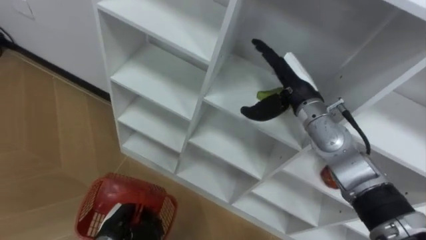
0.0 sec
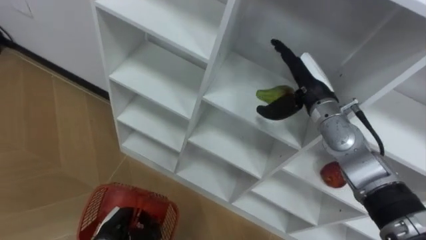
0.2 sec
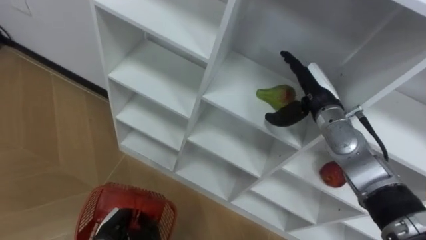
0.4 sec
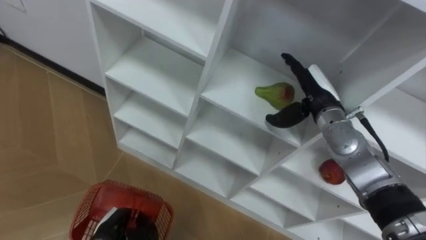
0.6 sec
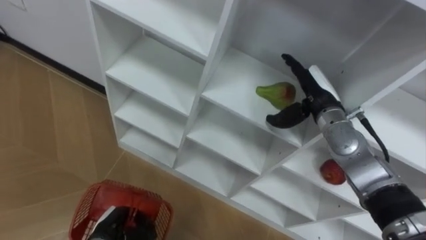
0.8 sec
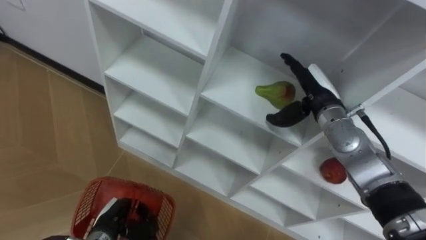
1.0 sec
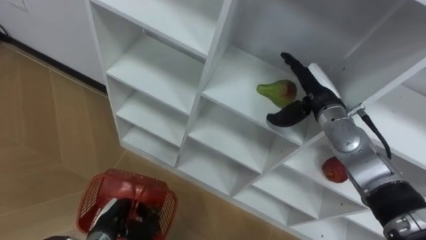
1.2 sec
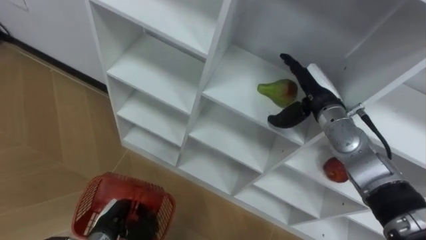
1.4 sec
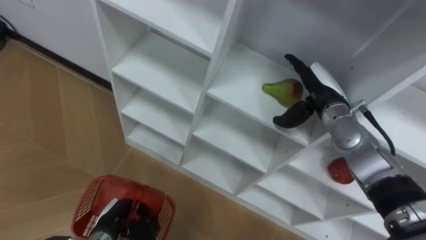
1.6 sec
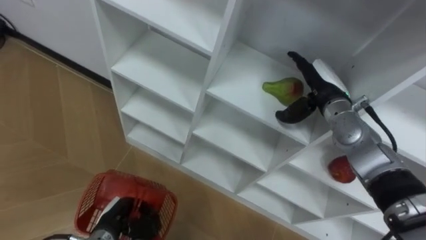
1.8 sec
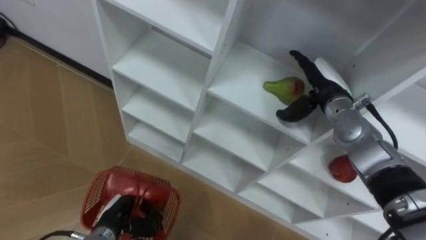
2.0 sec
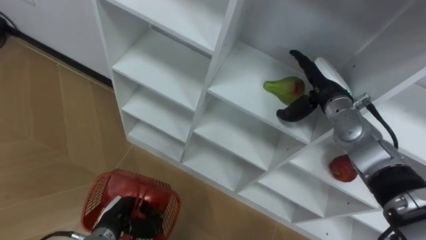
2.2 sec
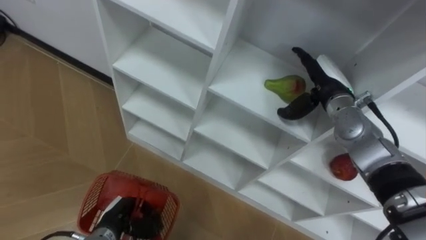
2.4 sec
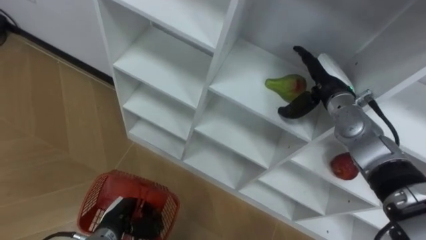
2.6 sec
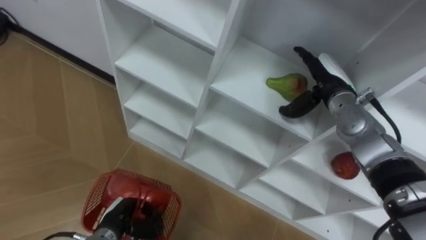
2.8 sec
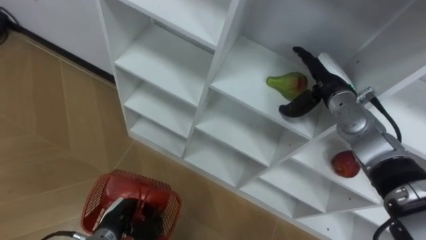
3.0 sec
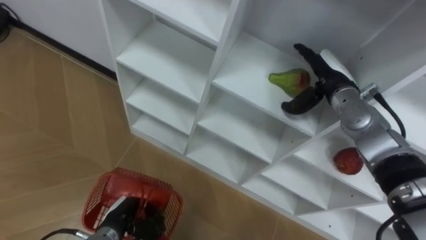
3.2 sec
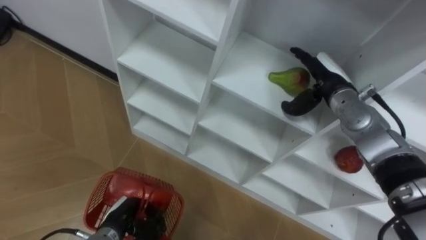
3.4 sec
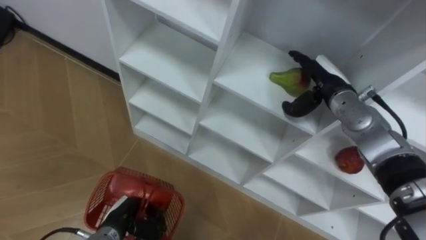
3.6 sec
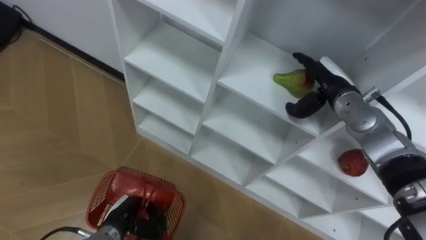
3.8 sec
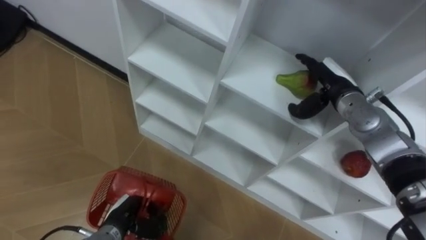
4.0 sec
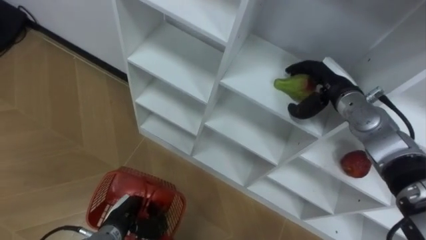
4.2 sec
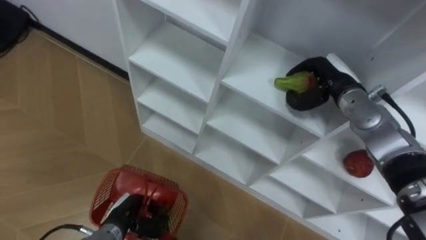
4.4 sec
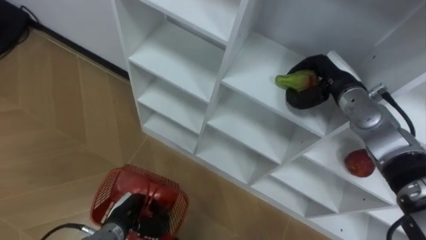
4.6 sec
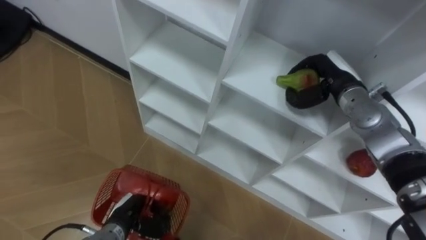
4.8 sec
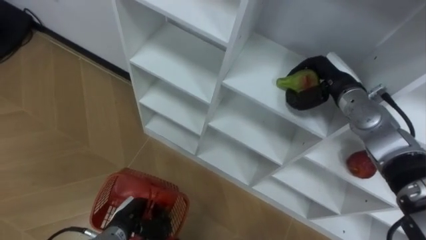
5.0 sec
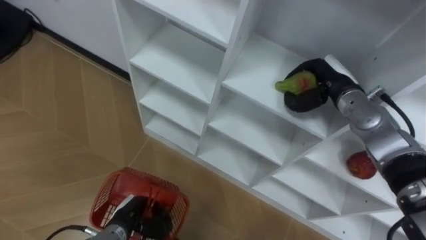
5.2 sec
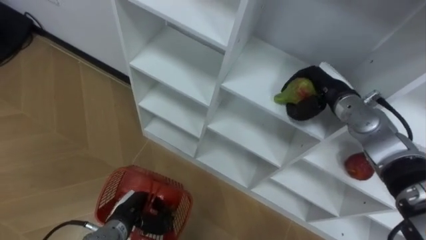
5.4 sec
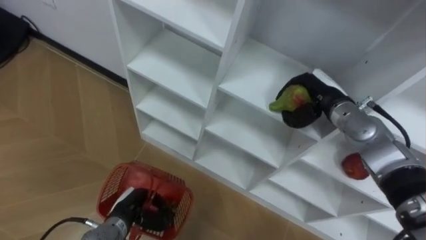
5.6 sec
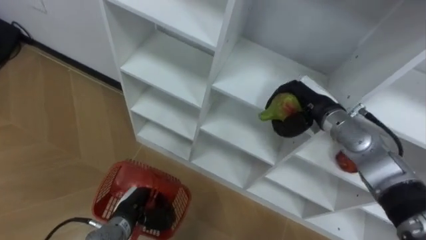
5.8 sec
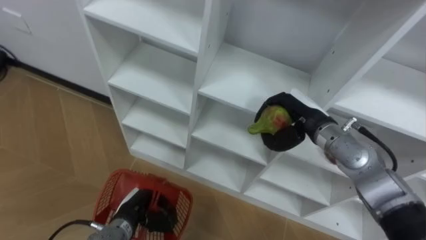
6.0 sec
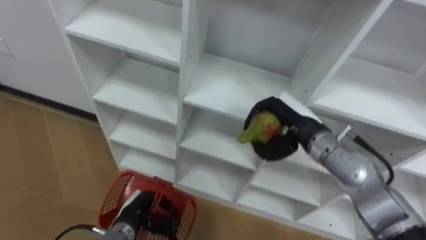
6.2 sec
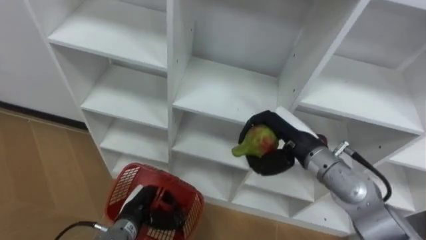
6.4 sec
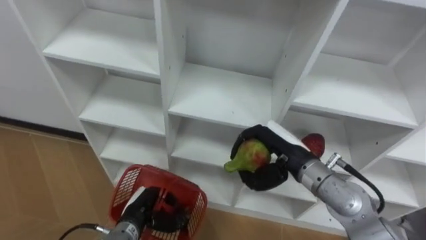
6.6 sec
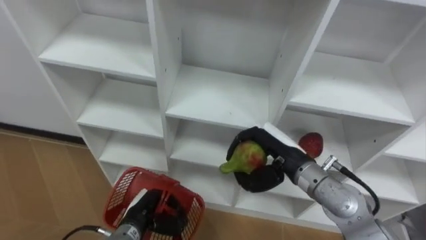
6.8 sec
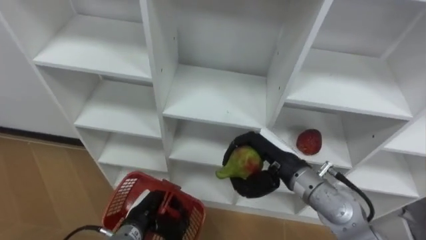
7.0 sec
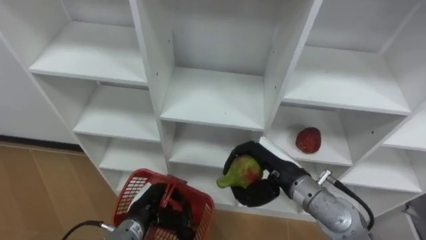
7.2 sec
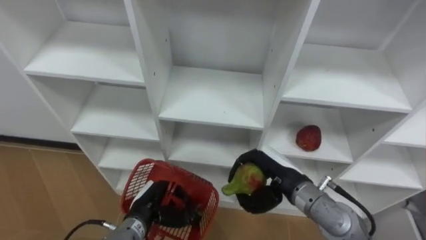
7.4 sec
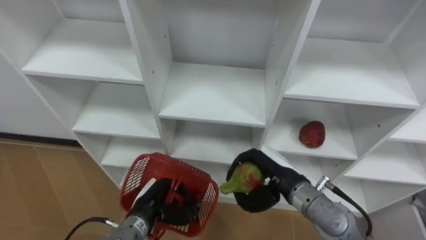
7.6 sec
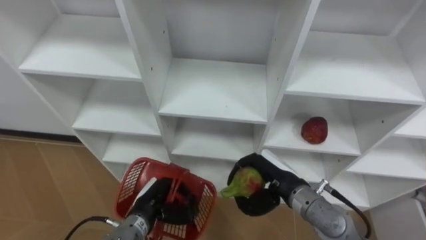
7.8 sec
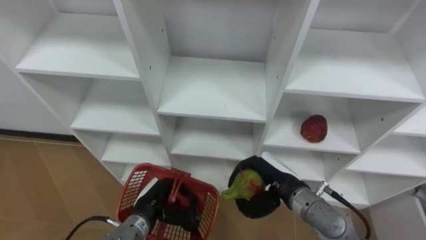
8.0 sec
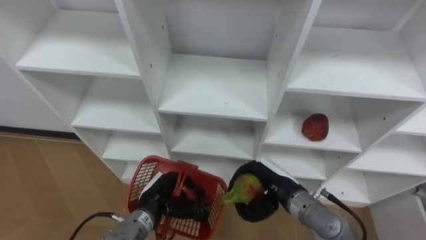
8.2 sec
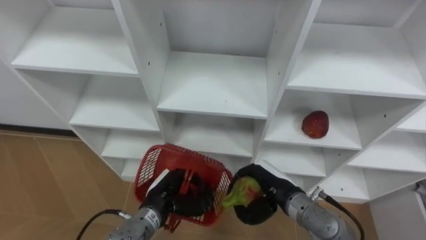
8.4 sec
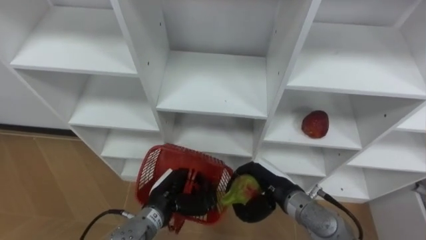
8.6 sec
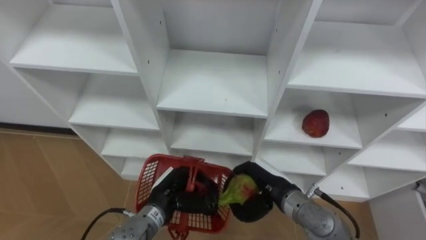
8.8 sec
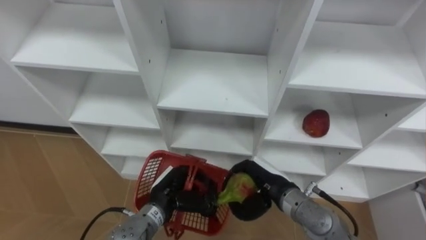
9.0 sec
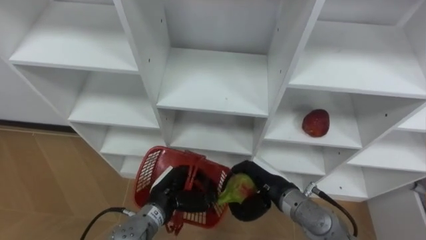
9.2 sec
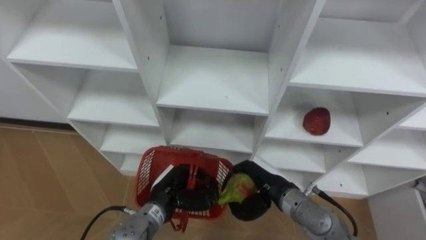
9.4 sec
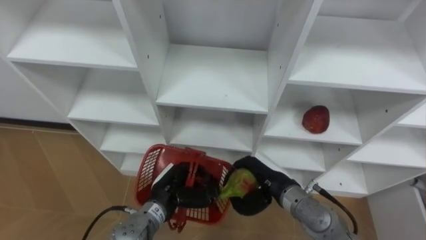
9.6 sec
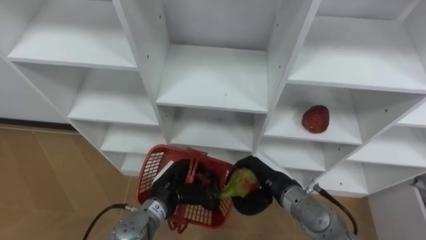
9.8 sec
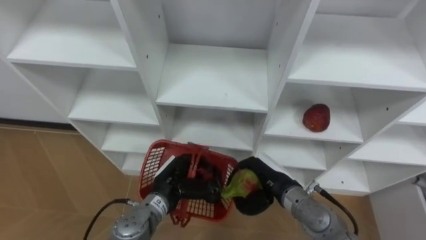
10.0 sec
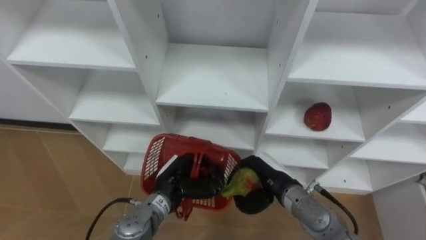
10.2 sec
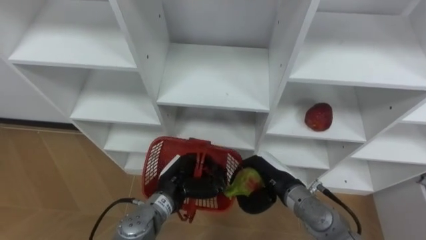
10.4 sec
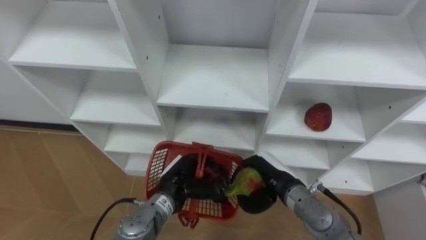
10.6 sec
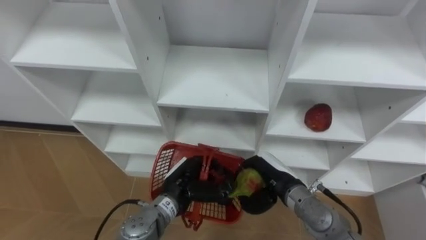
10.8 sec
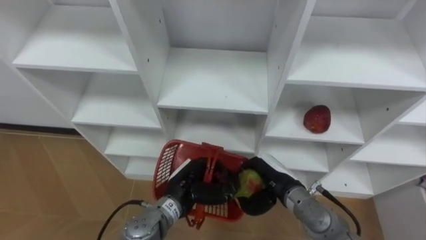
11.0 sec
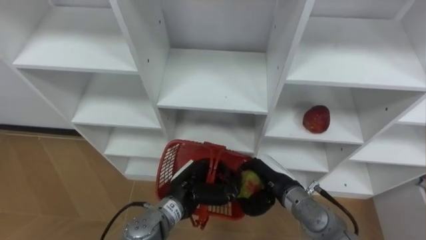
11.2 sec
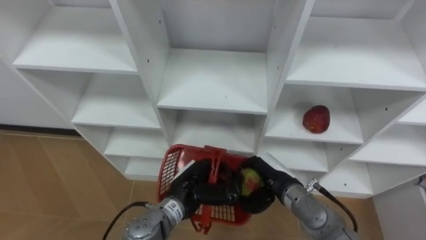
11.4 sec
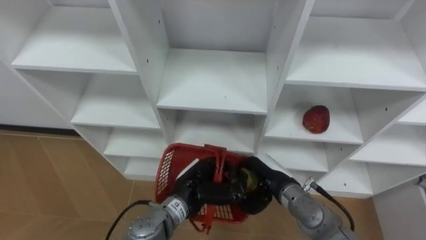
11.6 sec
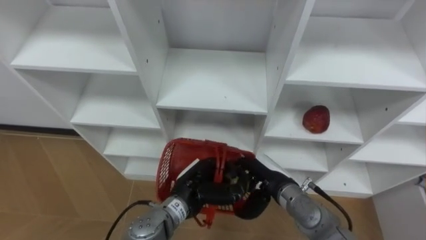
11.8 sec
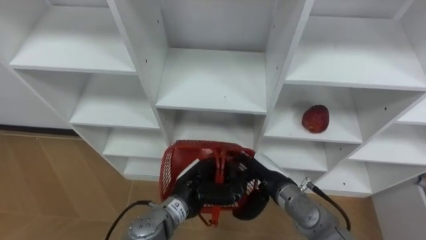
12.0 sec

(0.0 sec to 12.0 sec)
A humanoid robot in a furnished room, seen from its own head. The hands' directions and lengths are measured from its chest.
Task of the whole recording: Hold the basket and collect the fruits from 3 different cells of the closet into it.
0.0 sec - 1.6 sec: The right hand goes about 5 cm to the right.
3.0 sec - 4.4 sec: The right hand closes.
4.4 sec - 6.0 sec: The right hand is displaced to the left and backward by roughly 10 cm.
6.0 sec - 7.6 sec: The left hand shifts by some 5 cm, while the right hand moves backward, downward and to the left, some 10 cm.
7.6 sec - 9.0 sec: The left hand ends up approximately 5 cm from where it was.
10.4 sec - 12.0 sec: The right hand opens its fingers.

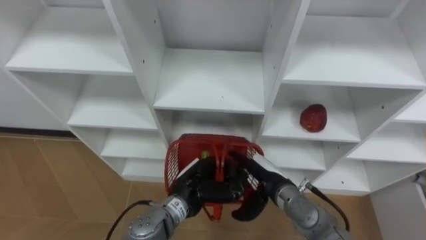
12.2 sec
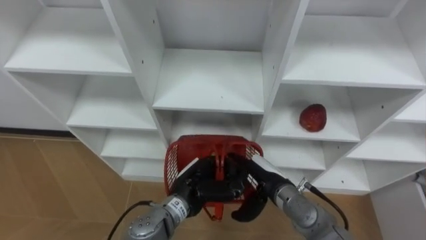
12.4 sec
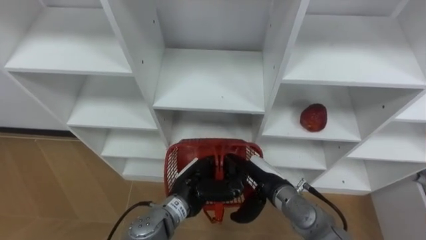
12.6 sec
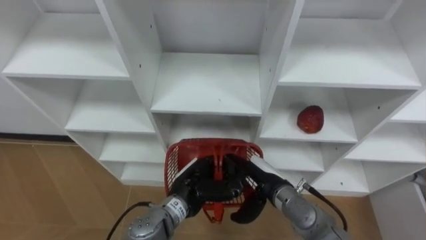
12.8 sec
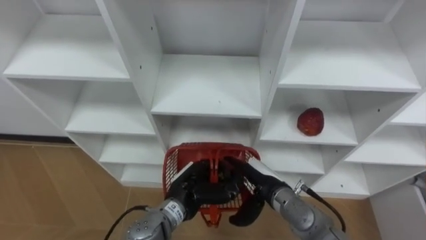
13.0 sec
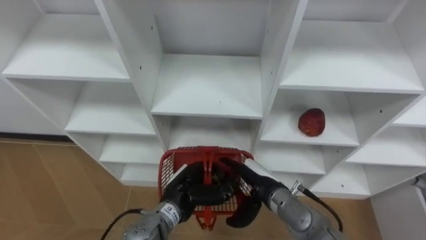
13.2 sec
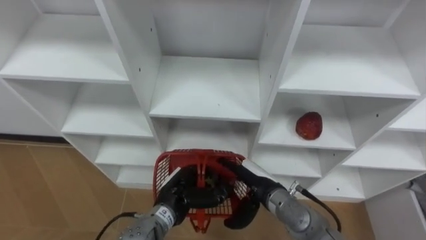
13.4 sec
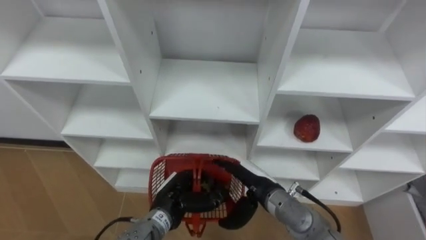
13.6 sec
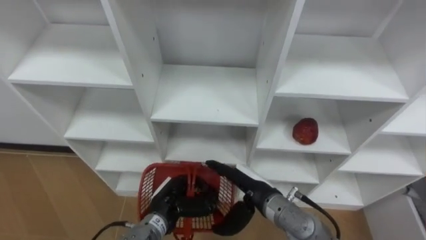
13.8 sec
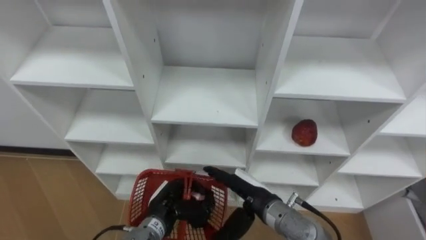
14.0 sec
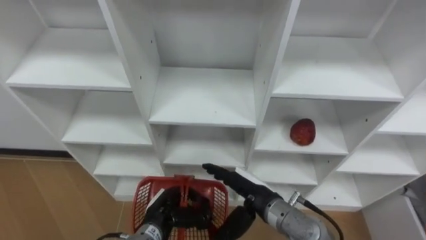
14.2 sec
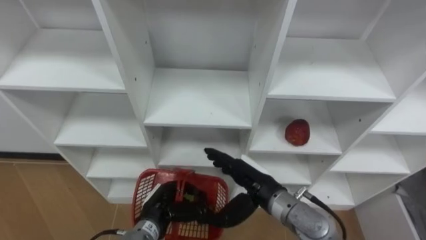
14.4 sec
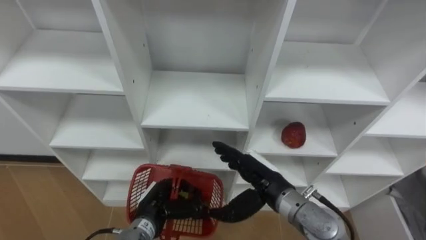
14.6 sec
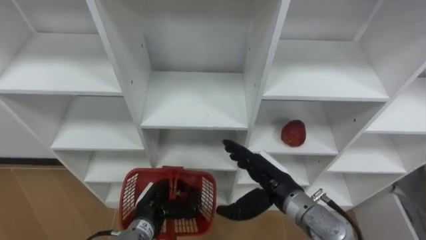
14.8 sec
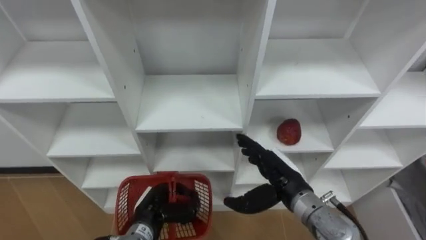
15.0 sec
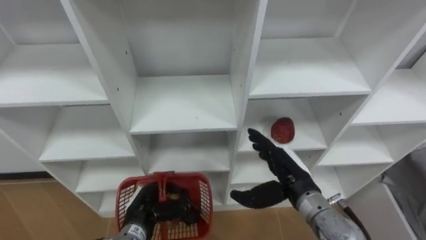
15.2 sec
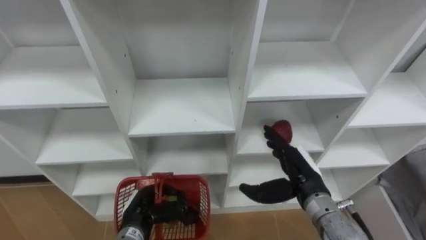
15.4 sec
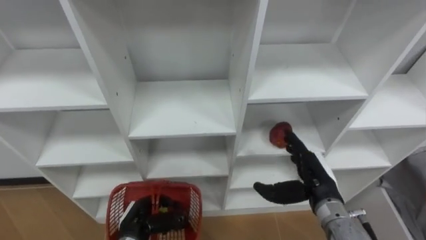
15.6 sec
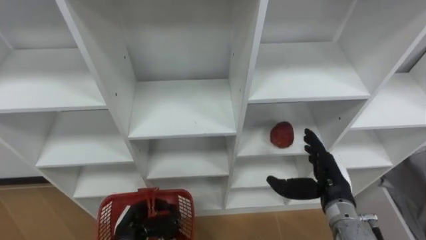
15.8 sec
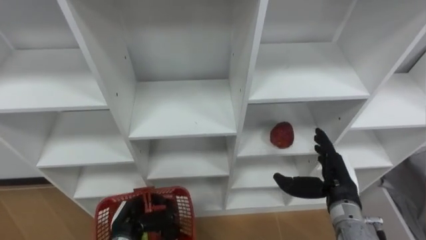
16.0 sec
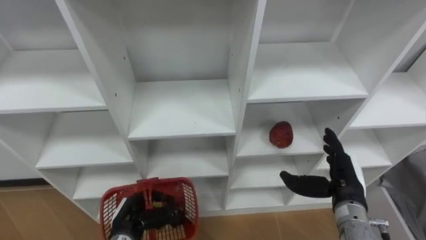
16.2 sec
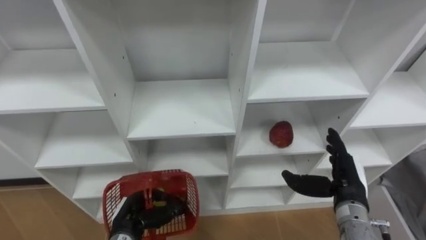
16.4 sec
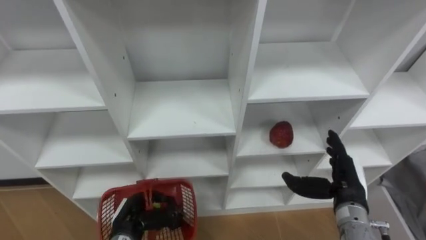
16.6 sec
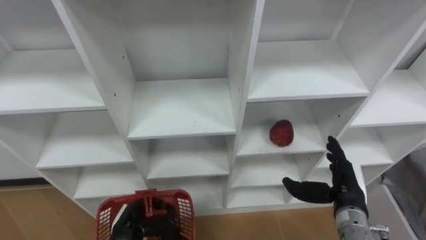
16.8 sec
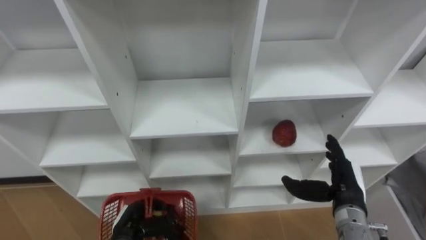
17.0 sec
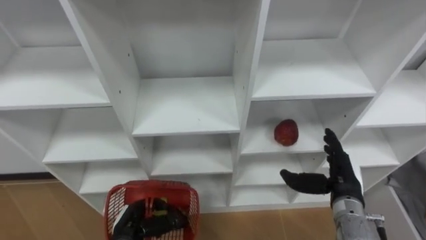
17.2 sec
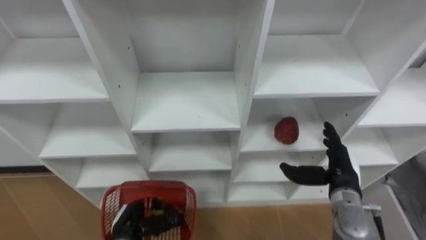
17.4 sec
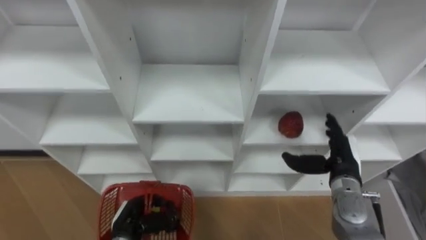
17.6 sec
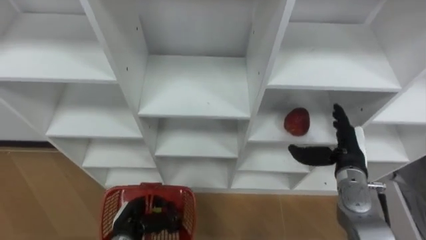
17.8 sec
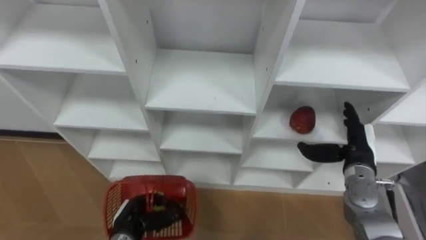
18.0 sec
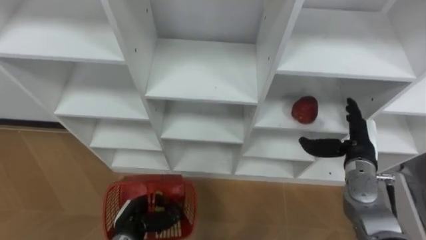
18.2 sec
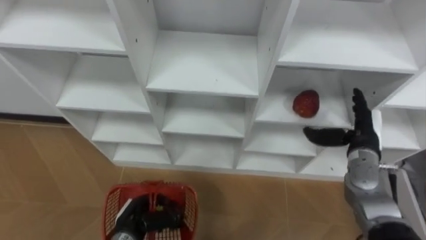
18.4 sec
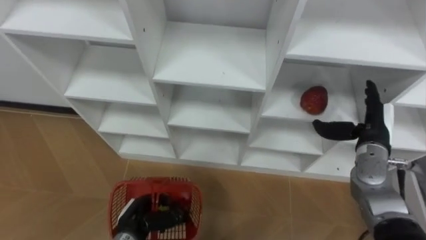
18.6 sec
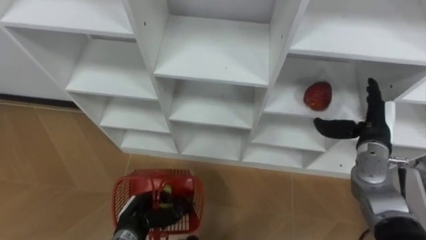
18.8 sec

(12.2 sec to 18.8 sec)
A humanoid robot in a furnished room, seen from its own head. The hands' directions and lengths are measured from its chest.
Task of the whole recording: Hold the basket and collect the fruits from 3 different cells of the closet into it.
12.2 sec - 13.8 sec: The left hand moves to the left, roughly 5 cm.
13.8 sec - 15.4 sec: The left hand moves to the left, roughly 5 cm; the right hand is displaced to the right by approximately 10 cm.
15.4 sec - 17.2 sec: The right hand goes approximately 10 cm to the right.
17.2 sec - 18.8 sec: The right hand moves forward, to the right and upward, approximately 10 cm.
